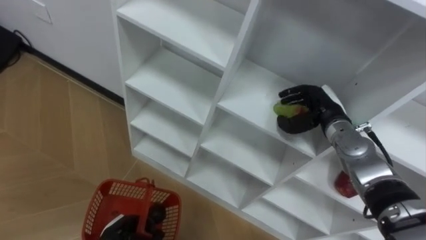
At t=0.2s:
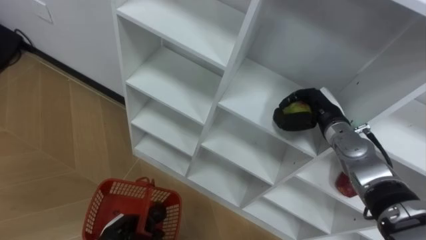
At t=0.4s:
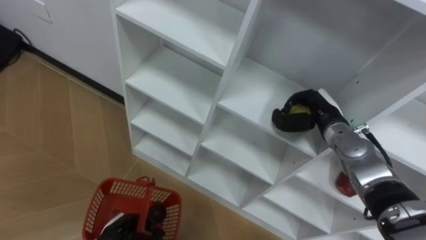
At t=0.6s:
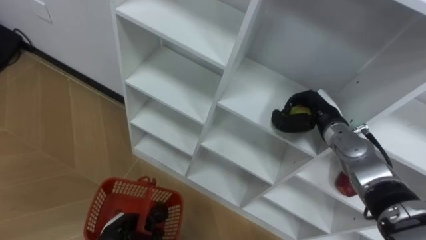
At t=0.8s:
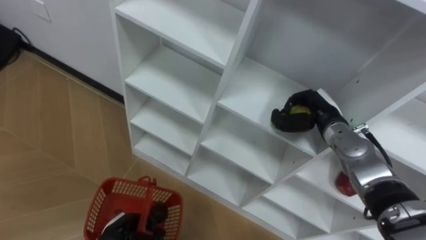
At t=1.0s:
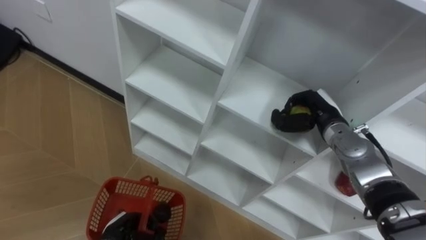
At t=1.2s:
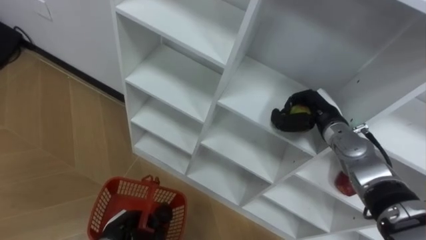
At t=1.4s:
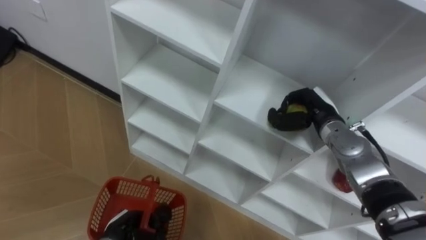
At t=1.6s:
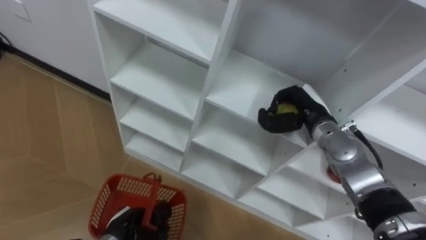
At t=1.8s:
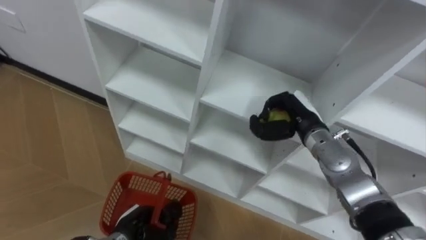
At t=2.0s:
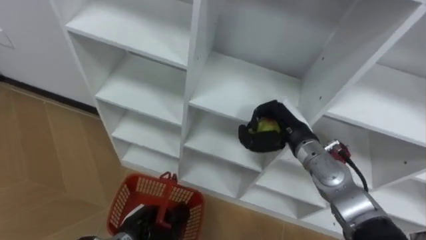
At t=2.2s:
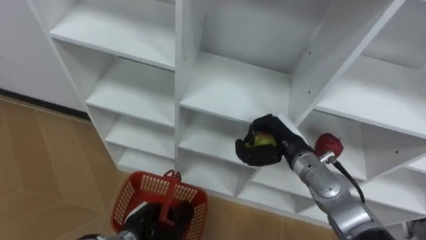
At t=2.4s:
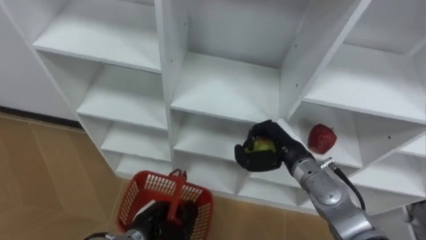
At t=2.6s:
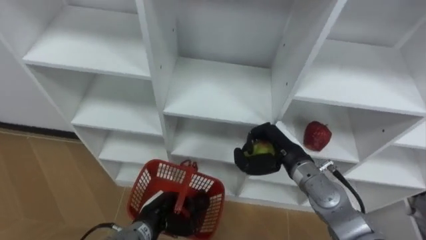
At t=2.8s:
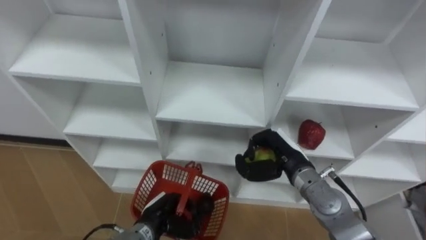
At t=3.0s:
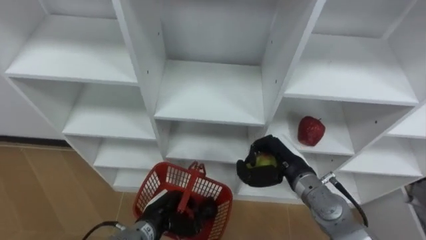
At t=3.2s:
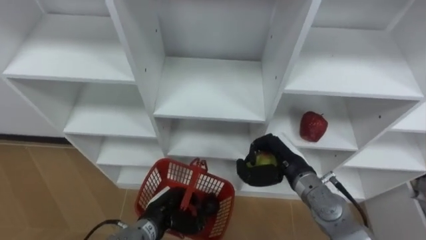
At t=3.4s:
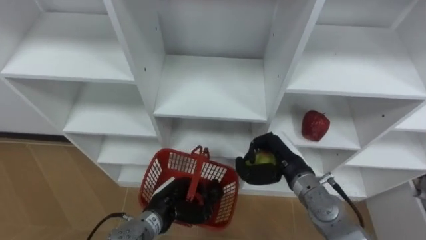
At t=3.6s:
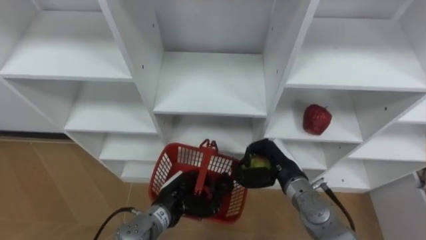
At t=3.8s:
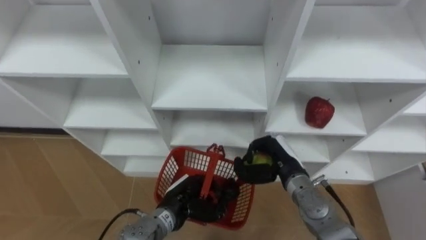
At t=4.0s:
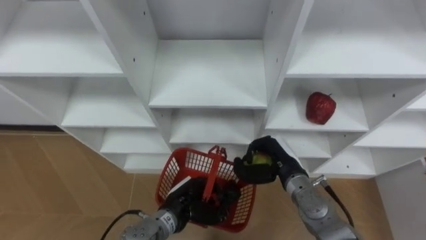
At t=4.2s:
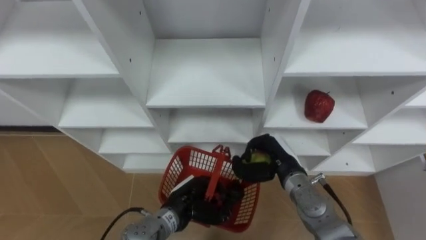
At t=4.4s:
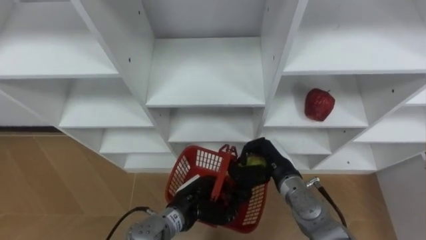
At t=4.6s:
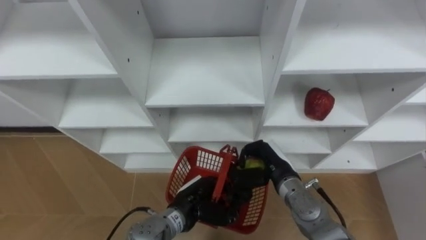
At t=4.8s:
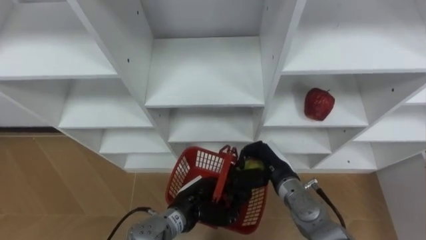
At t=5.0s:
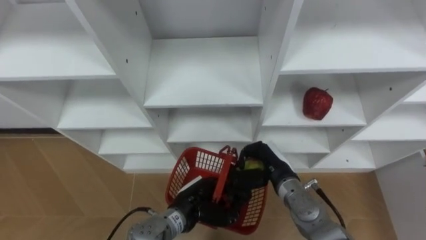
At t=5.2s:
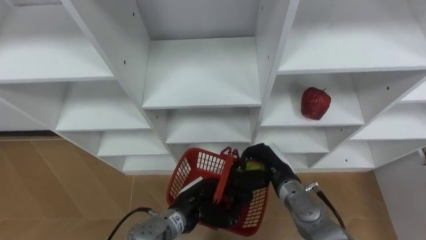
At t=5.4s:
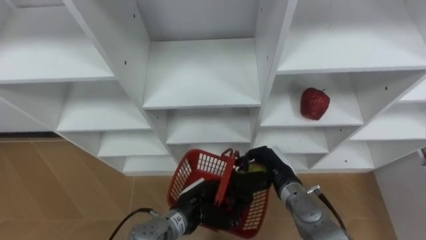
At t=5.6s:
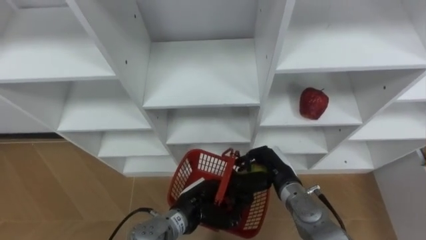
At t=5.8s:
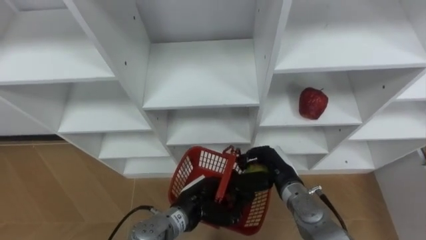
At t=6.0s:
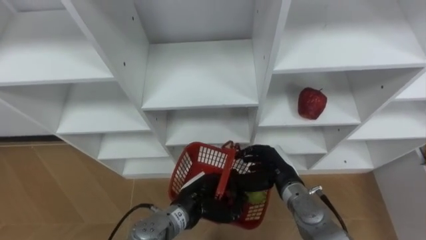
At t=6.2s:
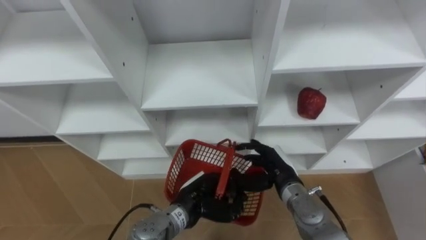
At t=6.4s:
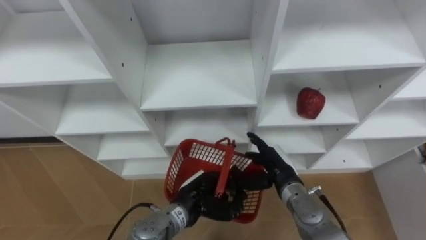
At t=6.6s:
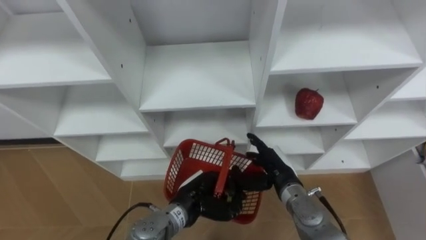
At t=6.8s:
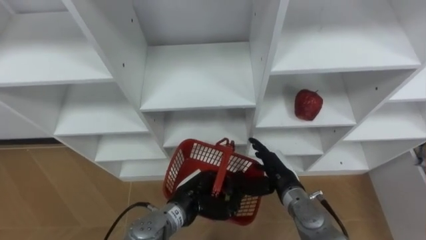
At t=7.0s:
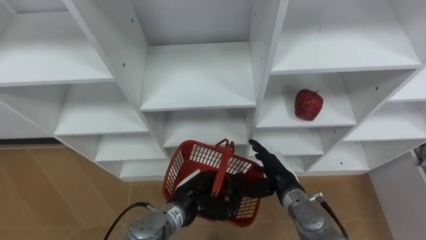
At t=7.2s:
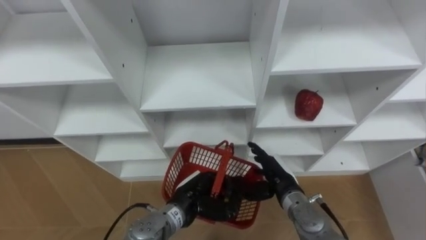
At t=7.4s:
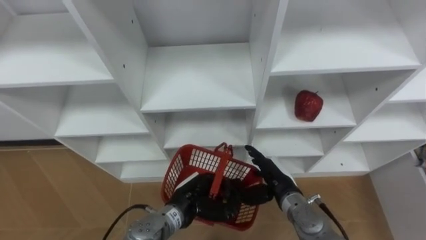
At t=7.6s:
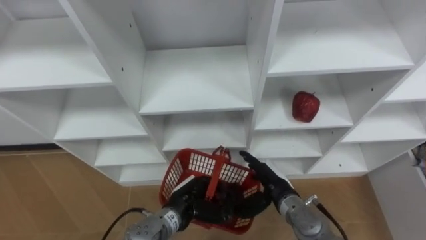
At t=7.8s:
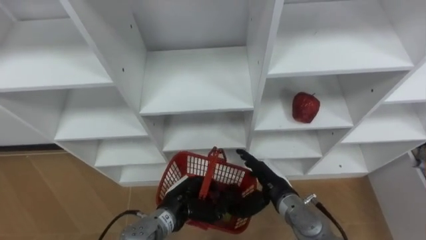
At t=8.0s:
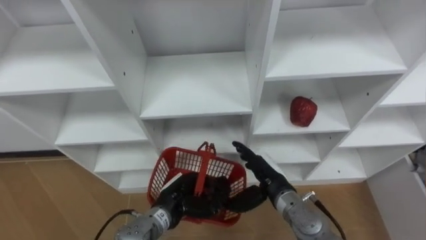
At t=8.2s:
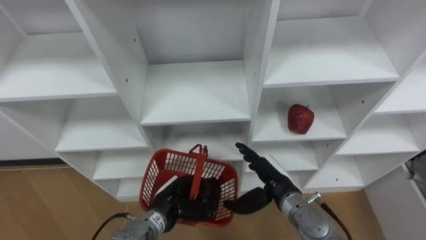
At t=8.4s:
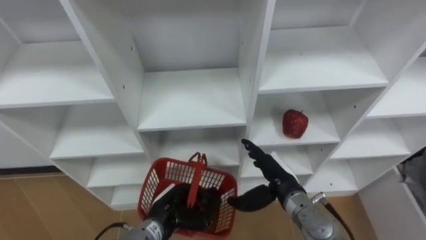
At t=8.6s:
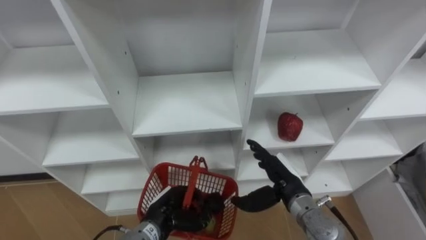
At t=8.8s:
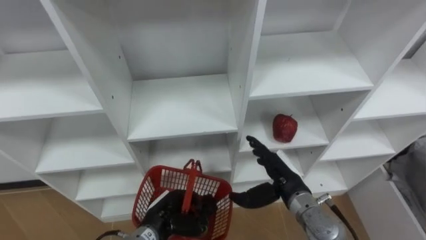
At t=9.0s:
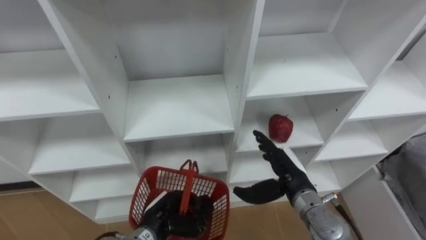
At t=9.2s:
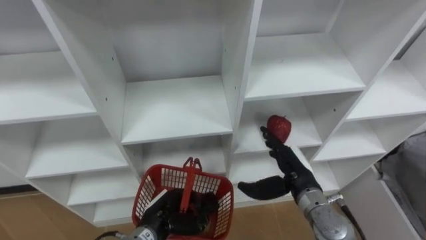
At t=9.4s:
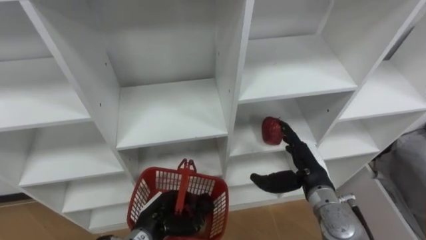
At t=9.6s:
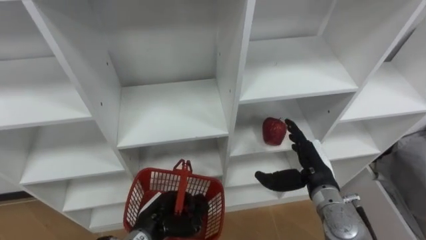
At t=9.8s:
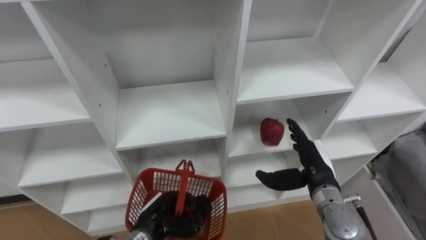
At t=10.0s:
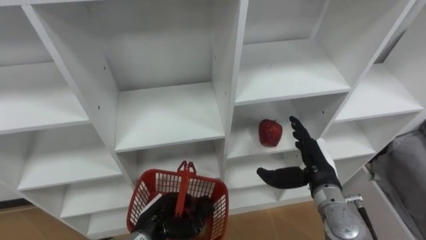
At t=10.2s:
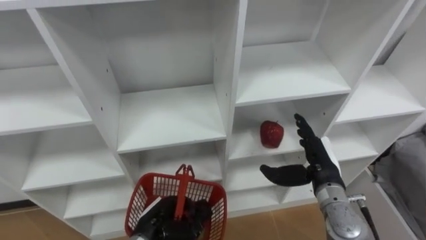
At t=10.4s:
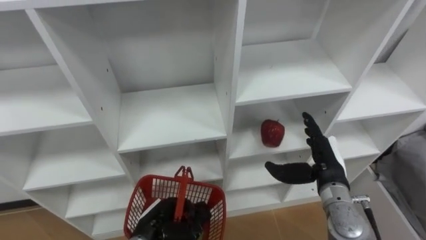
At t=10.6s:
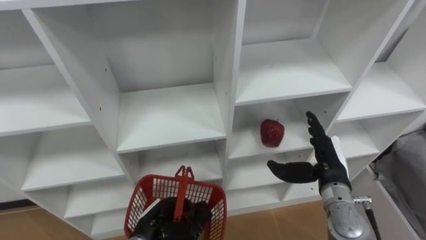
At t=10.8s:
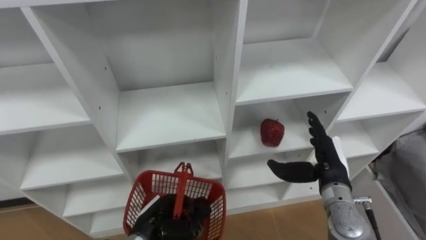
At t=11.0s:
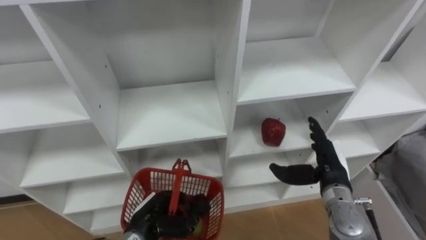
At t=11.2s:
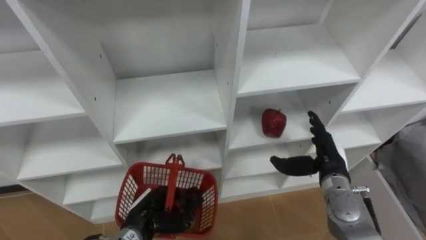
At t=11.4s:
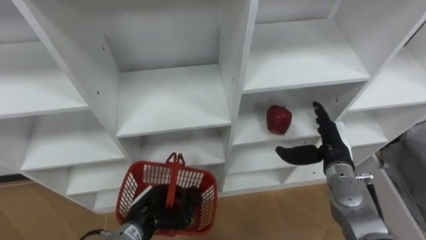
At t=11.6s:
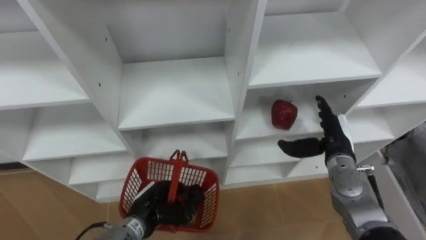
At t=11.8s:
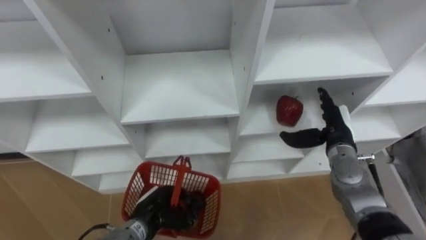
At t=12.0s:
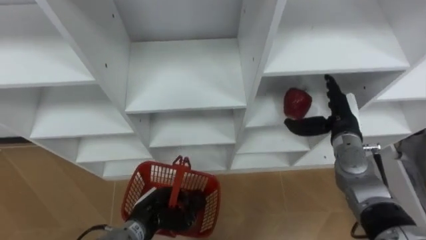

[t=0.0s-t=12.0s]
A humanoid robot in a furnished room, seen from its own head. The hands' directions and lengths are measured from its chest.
Task of the whole recording: Hold the basket and collect the fruits from 3 different cells of the closet into it.
t=0.0s to t=1.6s: The right hand closes its fingers.
t=1.6s to t=3.0s: The right hand goes about 10 cm backward and downward; the left hand moves to the right, roughly 10 cm.
t=3.0s to t=4.4s: The left hand heads to the right, covering roughly 5 cm.
t=4.4s to t=6.0s: The right hand opens its fingers.
t=7.6s to t=9.0s: The left hand is displaced to the left by approximately 5 cm, while the right hand ends up roughly 5 cm from where it was.
t=9.0s to t=10.4s: The right hand travels to the right by some 5 cm.
t=10.4s to t=12.0s: The right hand moves forward, about 10 cm.

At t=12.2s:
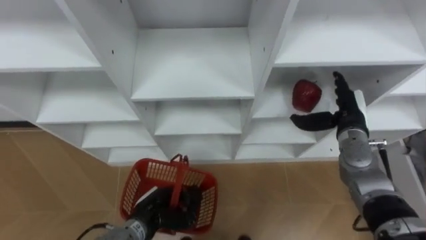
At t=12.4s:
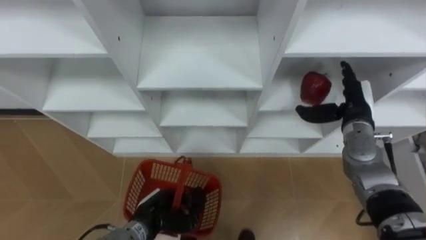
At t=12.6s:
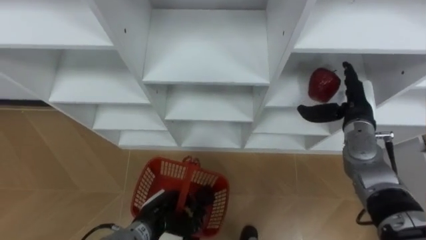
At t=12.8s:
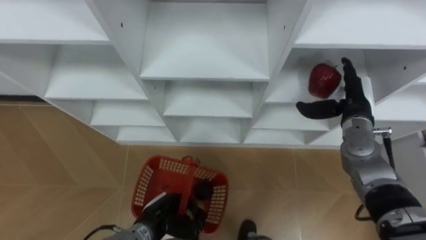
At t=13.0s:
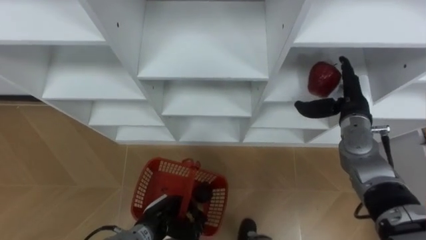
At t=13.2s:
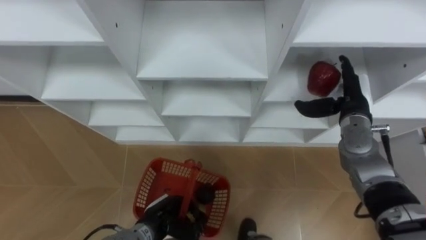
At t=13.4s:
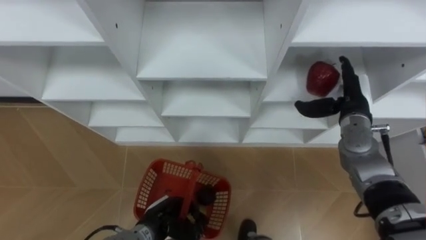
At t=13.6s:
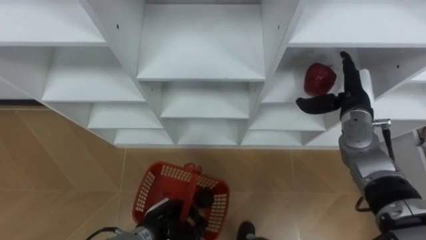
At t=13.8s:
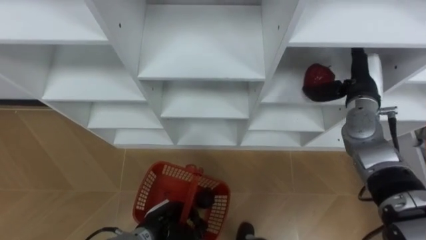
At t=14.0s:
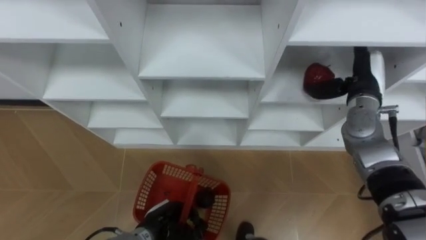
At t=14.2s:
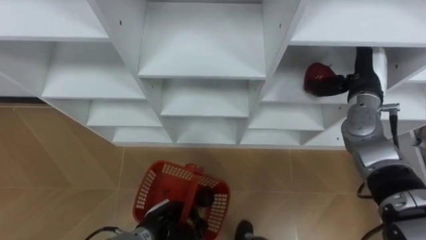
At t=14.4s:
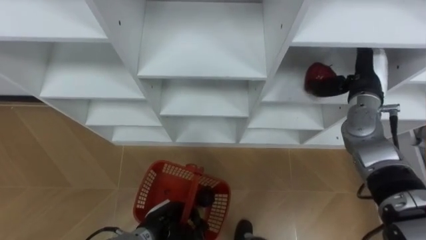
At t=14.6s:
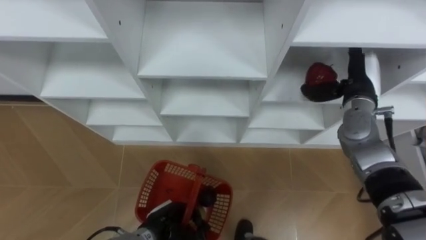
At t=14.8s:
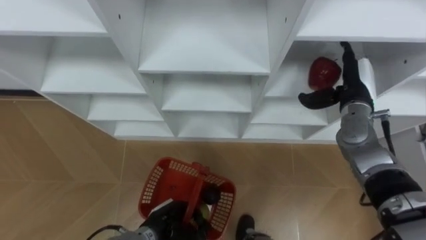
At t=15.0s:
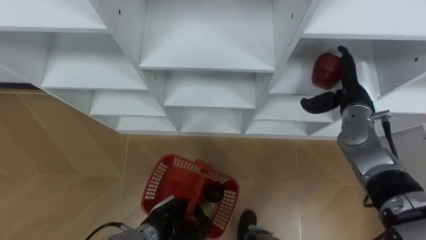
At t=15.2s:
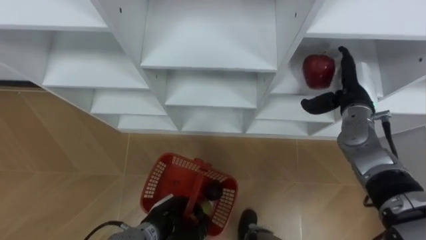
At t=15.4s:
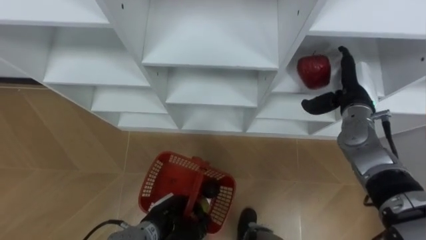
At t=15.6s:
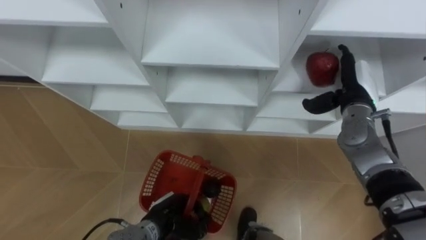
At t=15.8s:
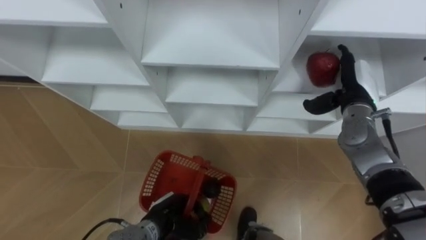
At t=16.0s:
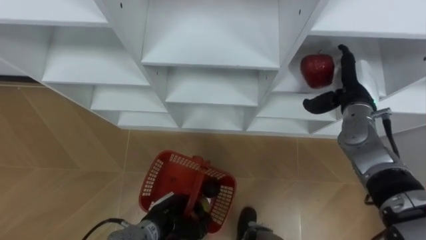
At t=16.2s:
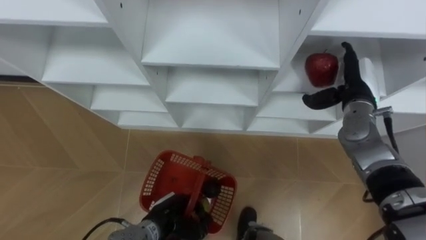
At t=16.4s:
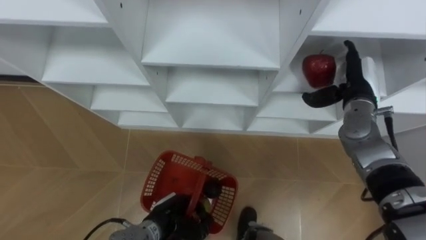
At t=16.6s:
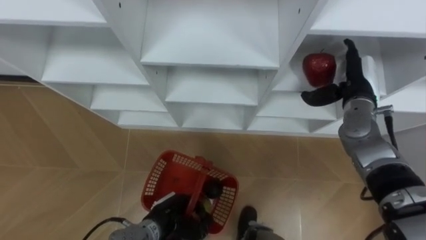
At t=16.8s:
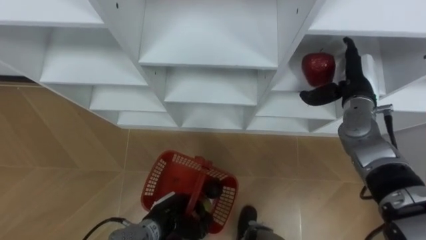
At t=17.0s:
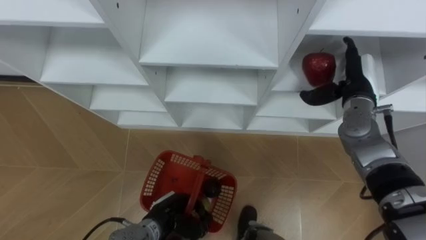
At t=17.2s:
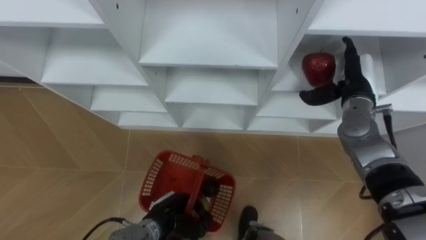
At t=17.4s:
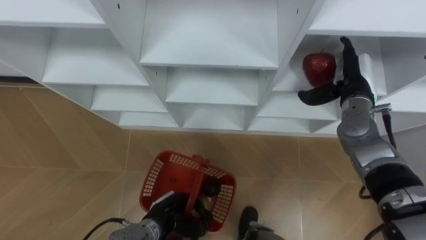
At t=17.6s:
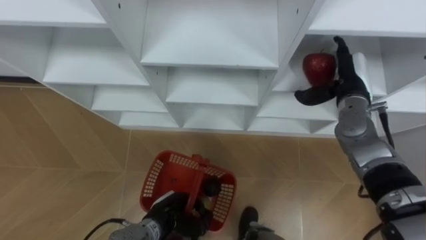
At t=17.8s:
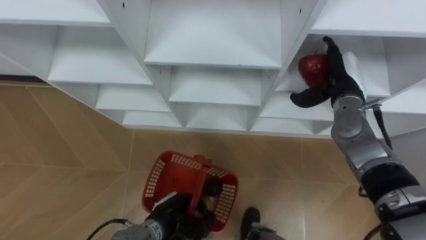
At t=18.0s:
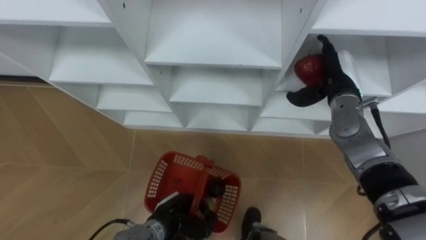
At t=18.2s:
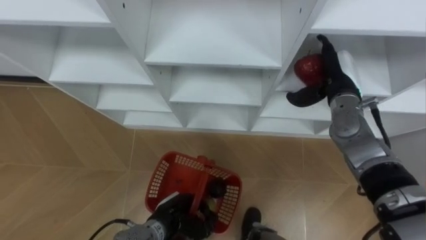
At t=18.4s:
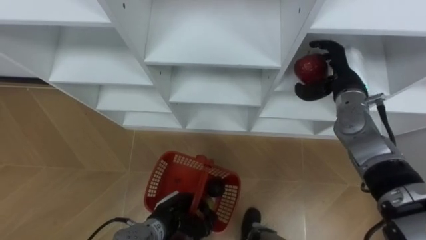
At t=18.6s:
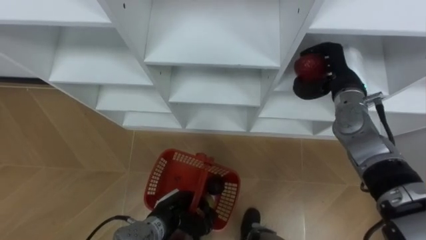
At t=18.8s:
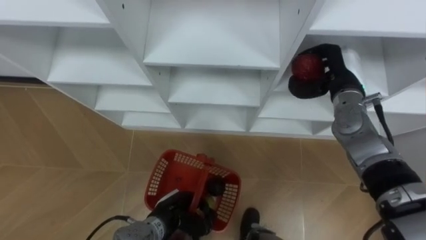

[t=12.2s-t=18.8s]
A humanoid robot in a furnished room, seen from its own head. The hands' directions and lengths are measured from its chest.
Task of the whole recording: Hold the basket and collect the fruits from 3 different cells of the closet into it.
t=12.2s to t=13.8s: The right hand goes roughly 5 cm upward.
t=17.2s to t=18.8s: The right hand closes up.
